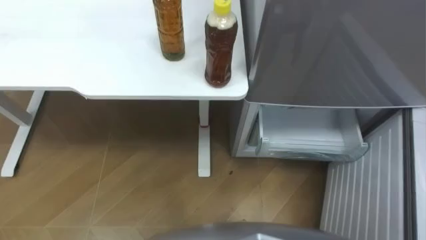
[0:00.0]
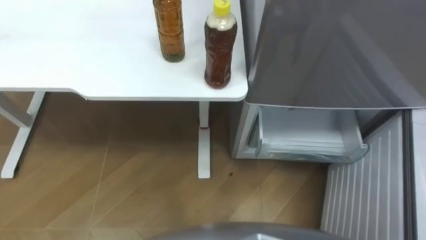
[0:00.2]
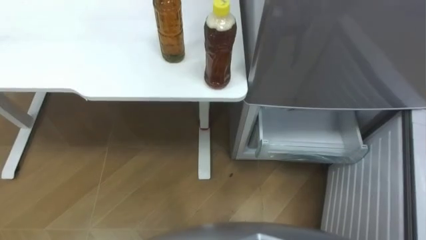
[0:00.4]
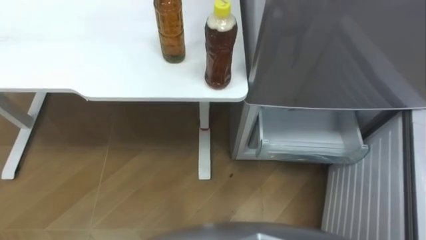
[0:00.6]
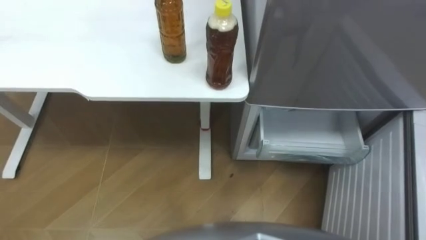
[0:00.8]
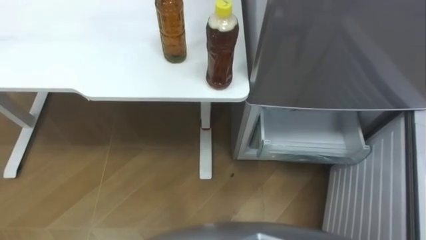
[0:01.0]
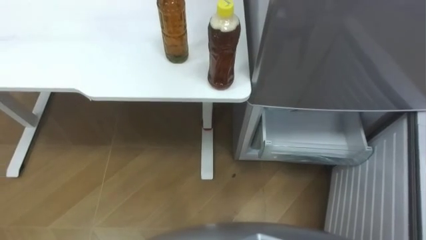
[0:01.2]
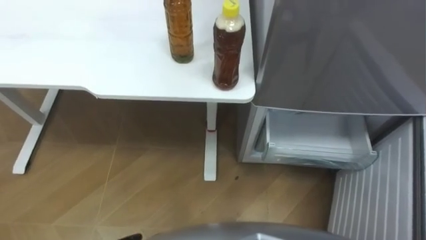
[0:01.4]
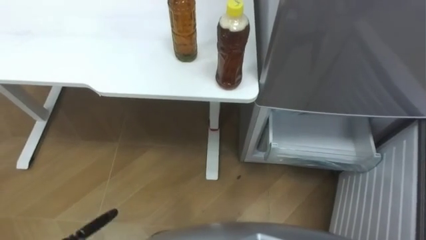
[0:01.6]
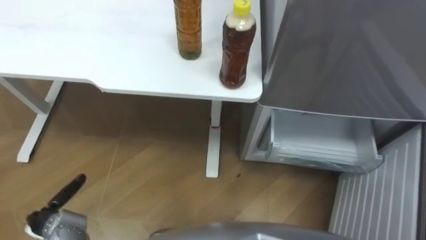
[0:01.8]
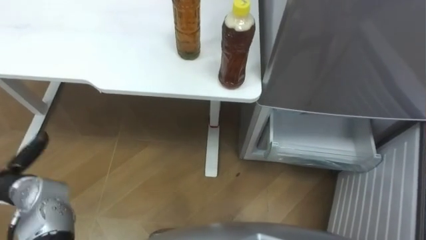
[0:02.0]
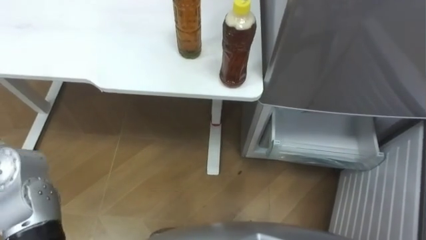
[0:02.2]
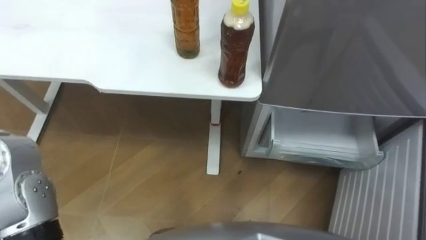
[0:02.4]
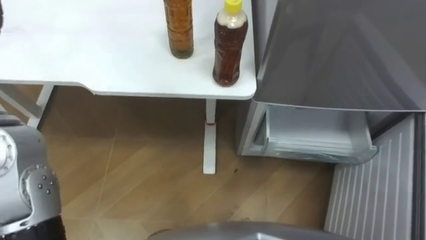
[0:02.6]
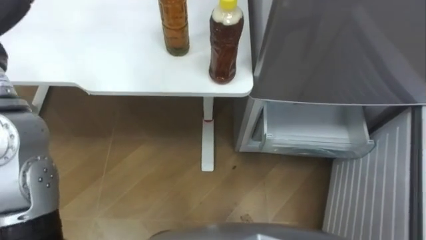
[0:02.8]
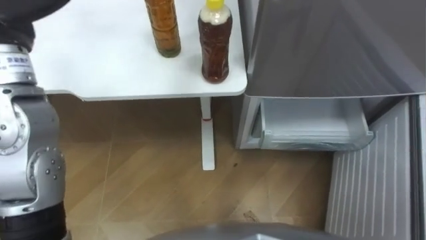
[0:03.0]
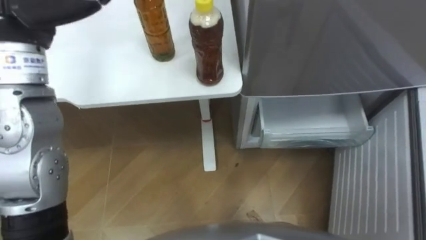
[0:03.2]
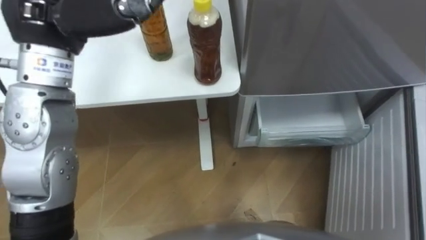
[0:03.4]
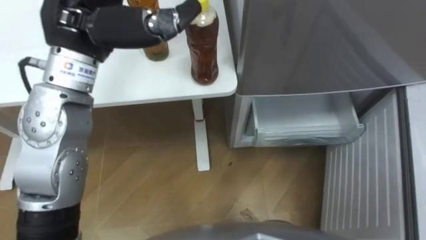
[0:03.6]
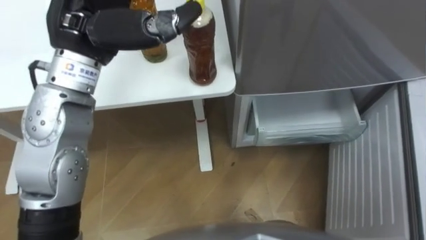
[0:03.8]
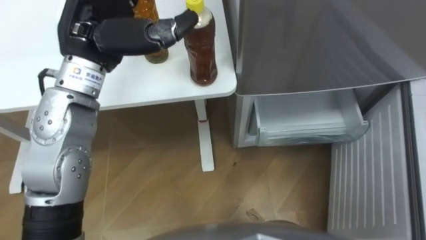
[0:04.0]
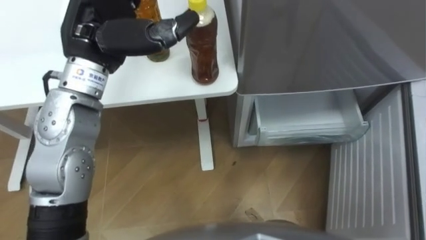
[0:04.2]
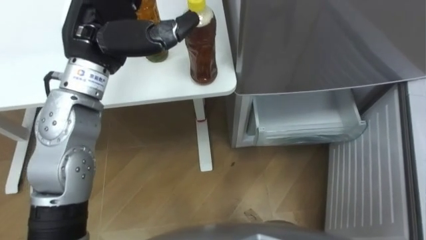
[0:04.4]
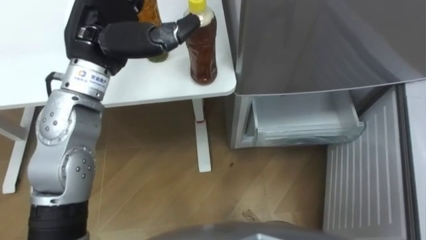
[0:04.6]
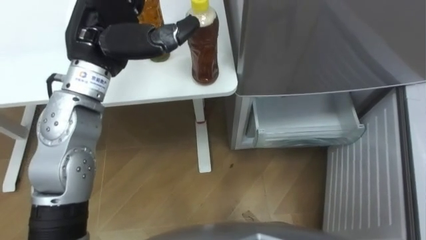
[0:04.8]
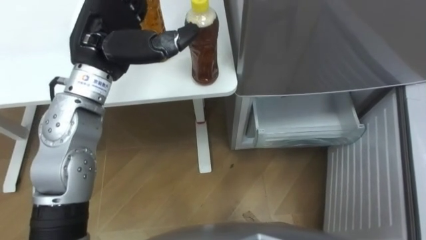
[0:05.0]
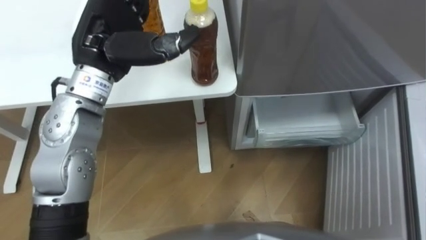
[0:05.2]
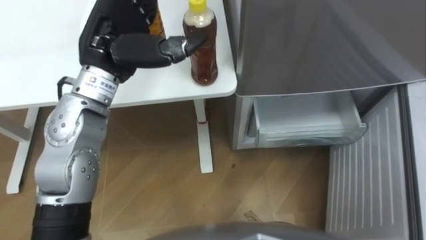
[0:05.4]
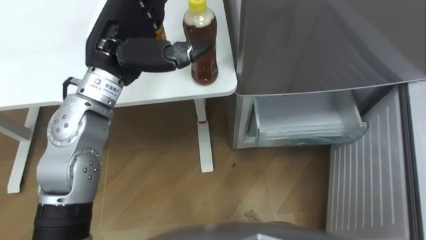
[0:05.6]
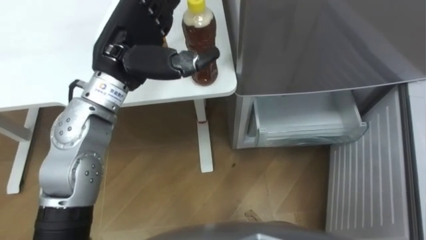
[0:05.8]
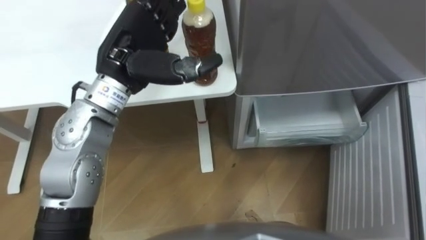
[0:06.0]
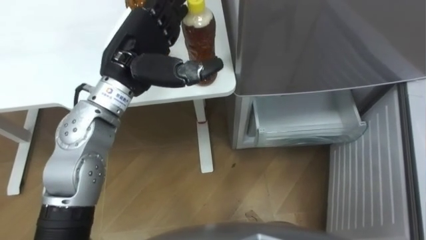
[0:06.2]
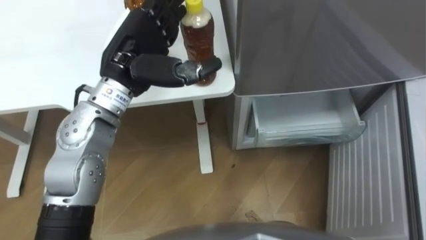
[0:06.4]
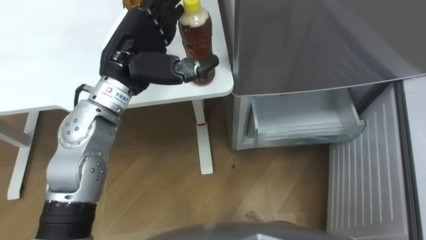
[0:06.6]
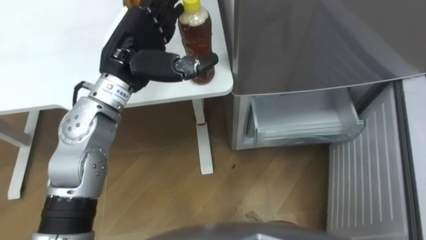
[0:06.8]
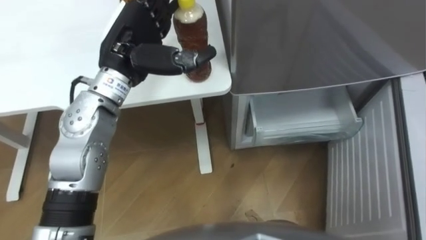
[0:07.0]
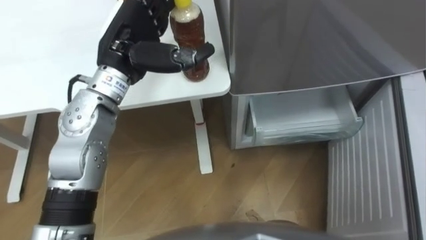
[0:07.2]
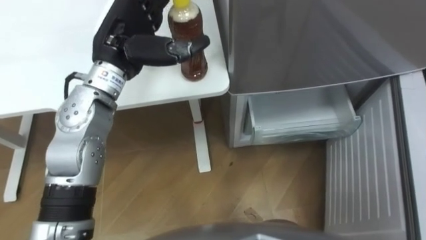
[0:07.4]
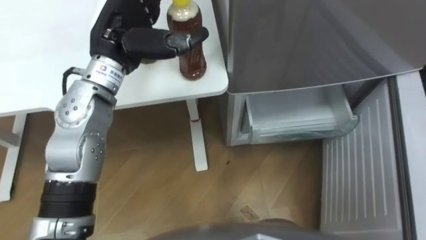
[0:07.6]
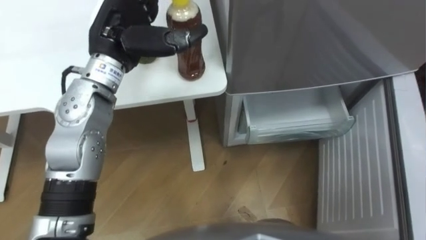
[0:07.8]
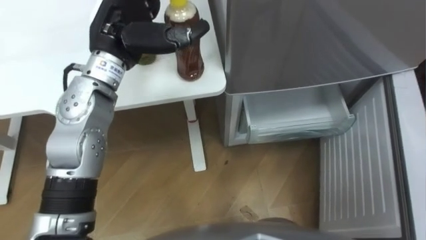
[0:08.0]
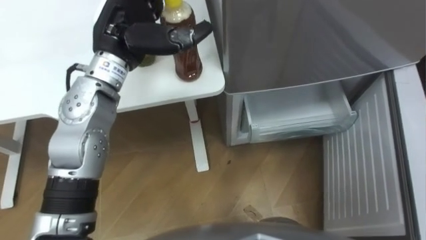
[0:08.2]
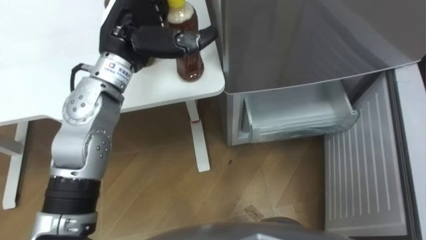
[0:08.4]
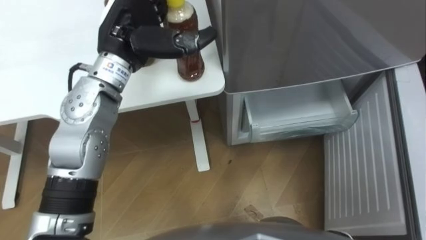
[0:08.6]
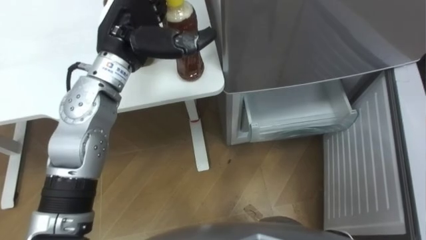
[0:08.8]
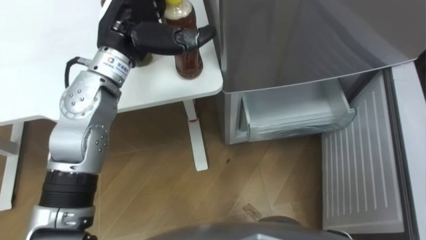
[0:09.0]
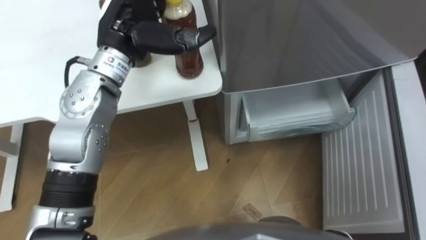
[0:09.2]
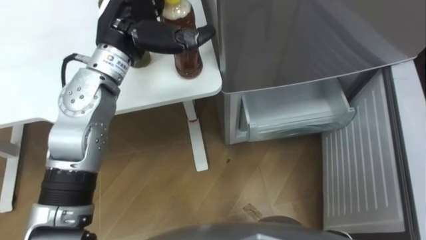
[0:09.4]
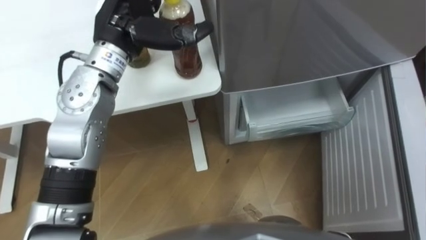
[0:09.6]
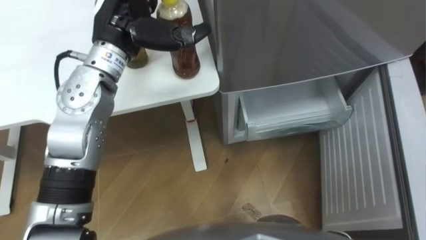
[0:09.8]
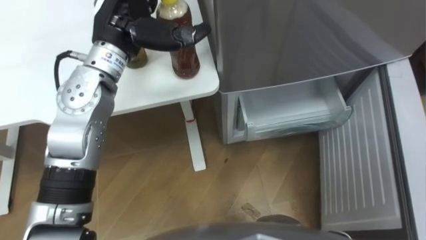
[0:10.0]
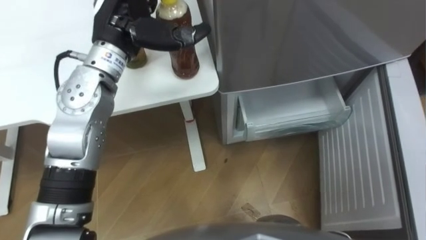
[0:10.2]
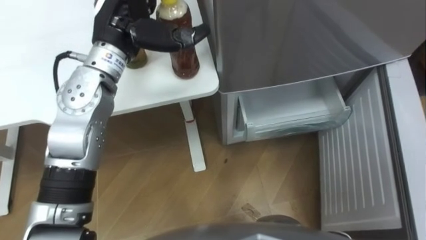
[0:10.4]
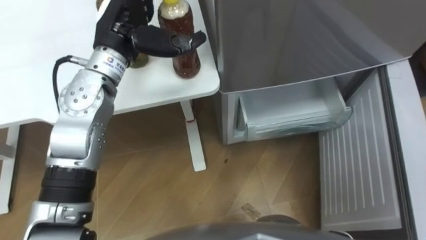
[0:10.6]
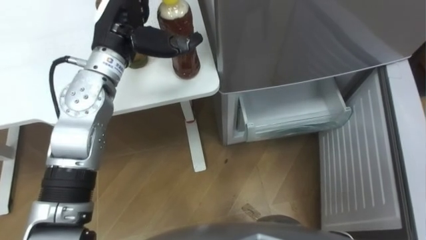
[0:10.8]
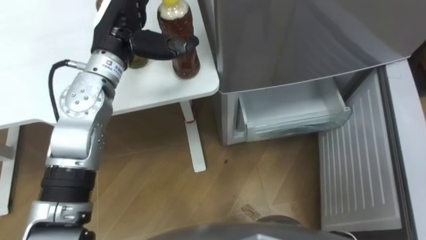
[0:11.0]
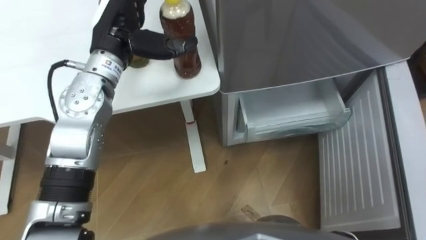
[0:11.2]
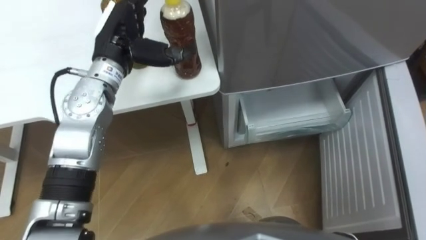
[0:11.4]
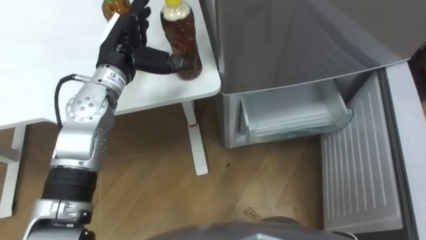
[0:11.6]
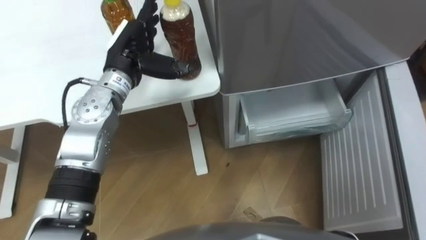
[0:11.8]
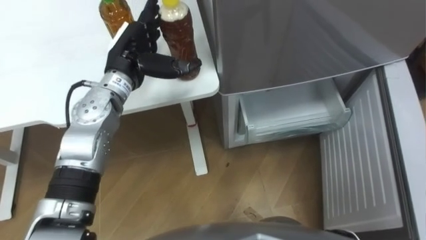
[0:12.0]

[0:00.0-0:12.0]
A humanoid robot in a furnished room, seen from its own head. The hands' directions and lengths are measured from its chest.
Task of the whole recording: Place the drink on the table on the bottom shelf of the refrigerator, then close the drawer and the refrigerator door.
0:10.4 to 0:12.0: The left hand is displaced downward by approximately 10 cm.

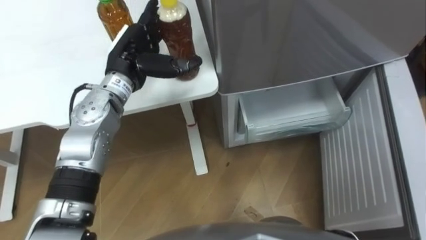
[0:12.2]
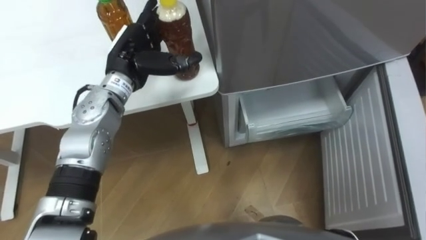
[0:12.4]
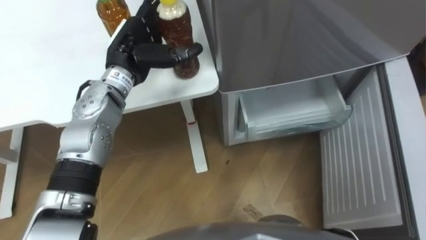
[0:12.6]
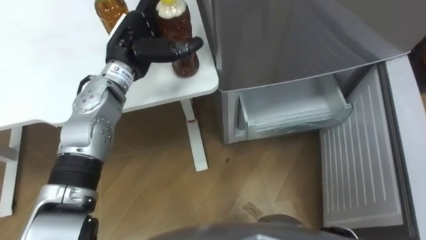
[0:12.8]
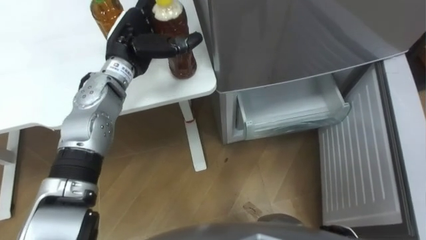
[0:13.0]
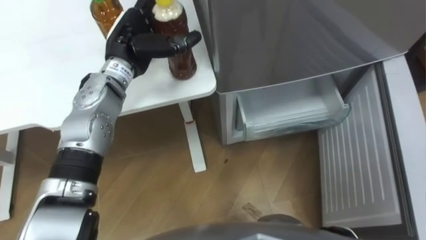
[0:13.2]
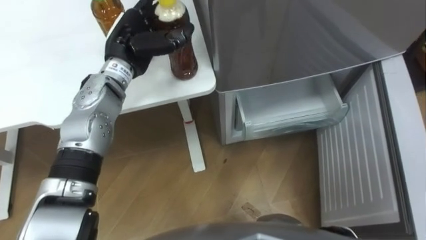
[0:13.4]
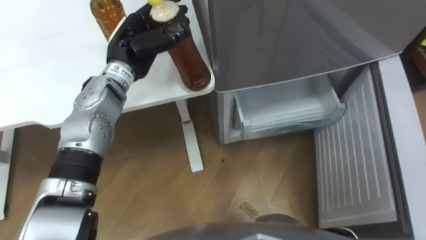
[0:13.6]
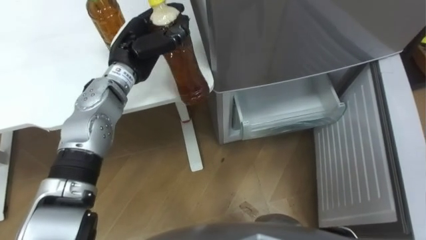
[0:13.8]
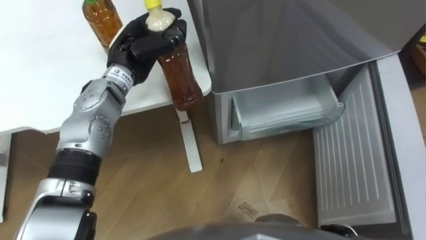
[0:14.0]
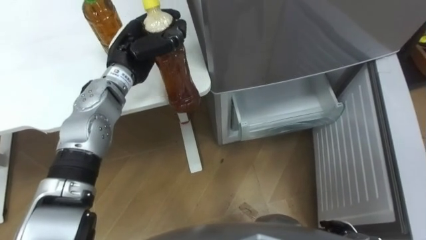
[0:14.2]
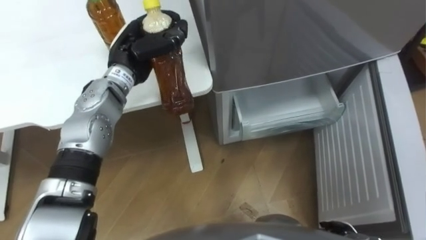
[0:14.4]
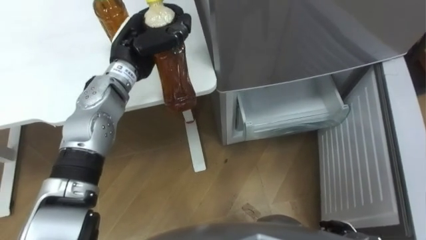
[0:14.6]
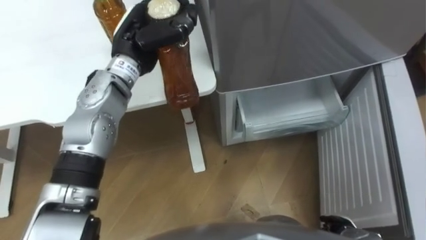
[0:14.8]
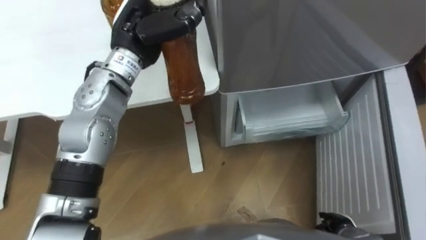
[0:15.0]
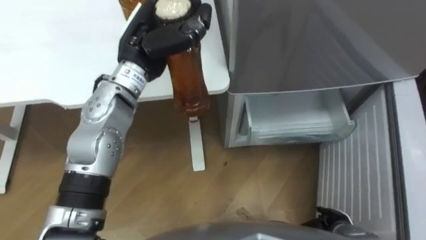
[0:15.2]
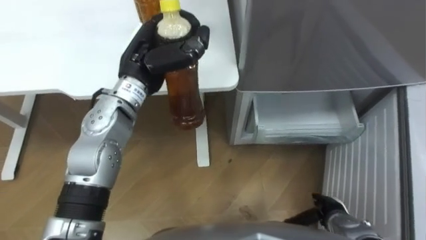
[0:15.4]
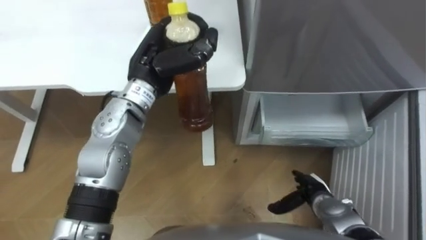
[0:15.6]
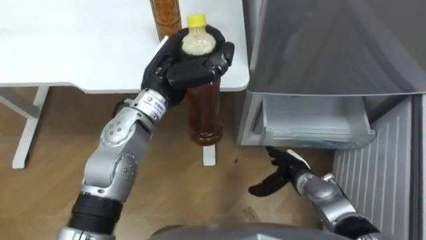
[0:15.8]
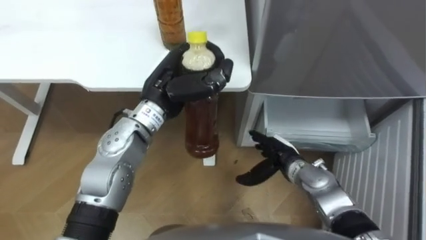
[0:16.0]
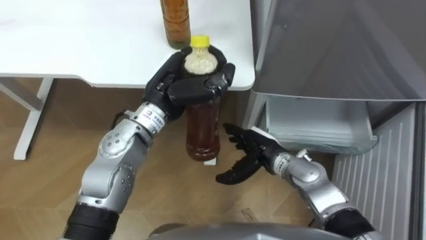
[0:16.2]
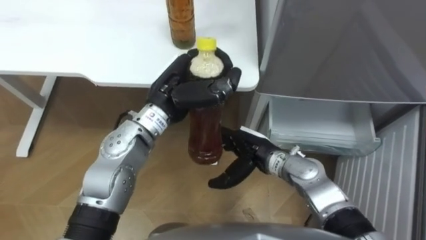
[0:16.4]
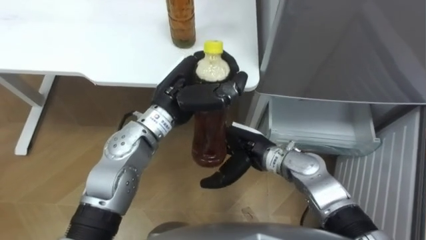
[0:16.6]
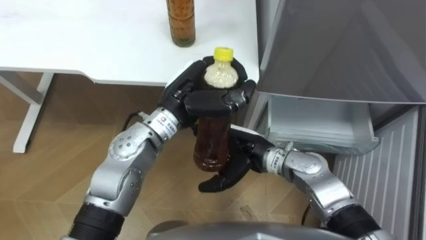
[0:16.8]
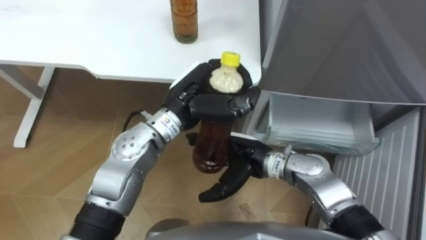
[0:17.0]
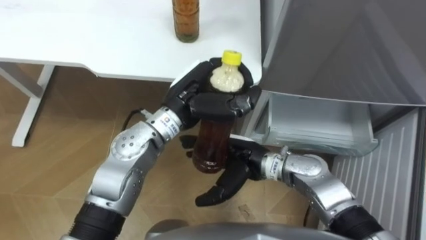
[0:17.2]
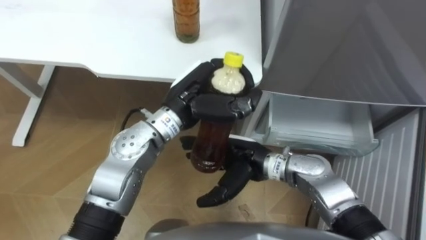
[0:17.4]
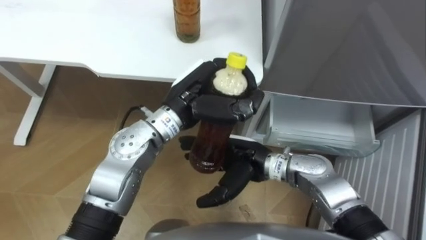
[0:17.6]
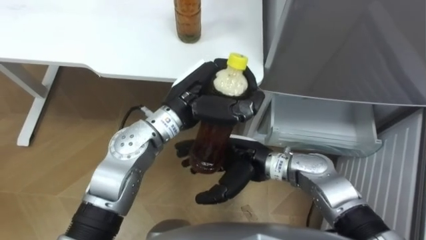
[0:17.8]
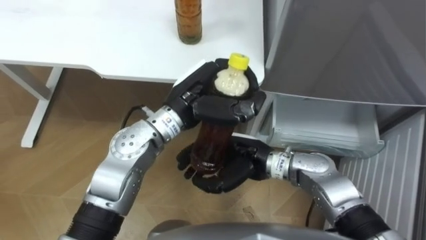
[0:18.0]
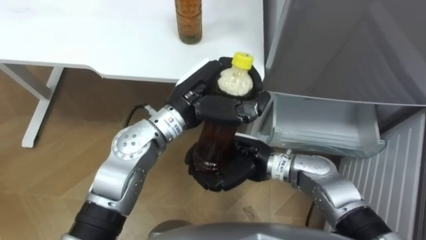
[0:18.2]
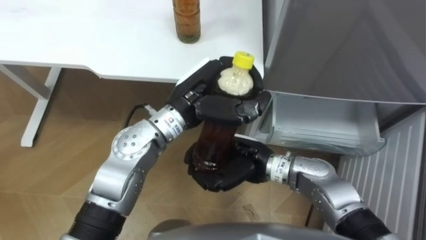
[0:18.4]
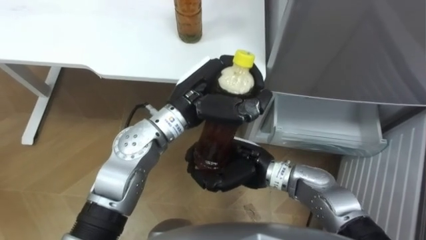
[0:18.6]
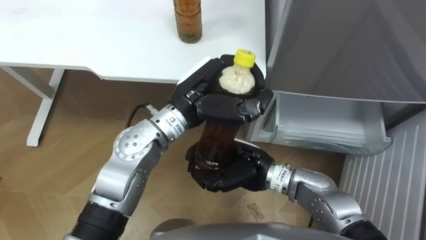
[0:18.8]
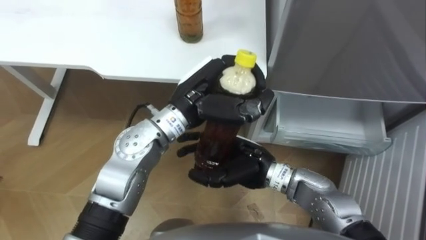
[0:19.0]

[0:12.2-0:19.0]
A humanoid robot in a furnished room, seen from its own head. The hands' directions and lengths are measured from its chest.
Task of the whole recording: Place the drink on the table on the bottom shelf of the refrigerator, then close the drawer and the refrigerator door.
0:12.2 to 0:13.6: The left hand closes its fingers.
0:13.6 to 0:15.0: The left hand heads upward, covering roughly 5 cm, and closes.
0:15.0 to 0:16.2: The right hand moves to the left, forward and upward, roughly 25 cm. The left hand is displaced downward and backward by some 10 cm.
0:16.2 to 0:17.6: The right hand is displaced to the left and upward by some 10 cm.
0:17.6 to 0:19.0: The right hand closes up.
